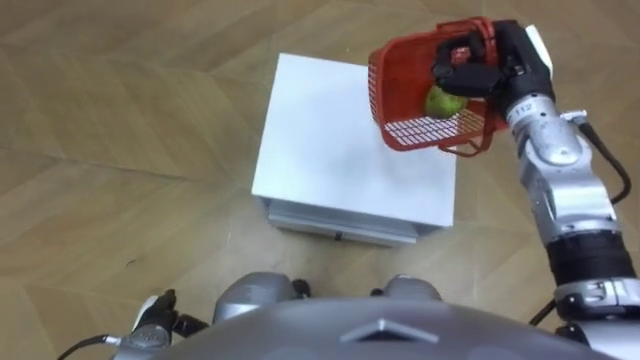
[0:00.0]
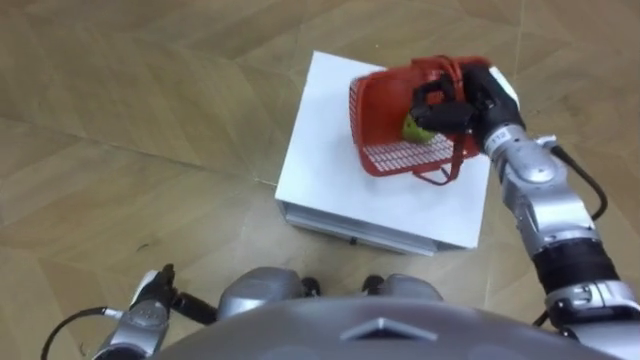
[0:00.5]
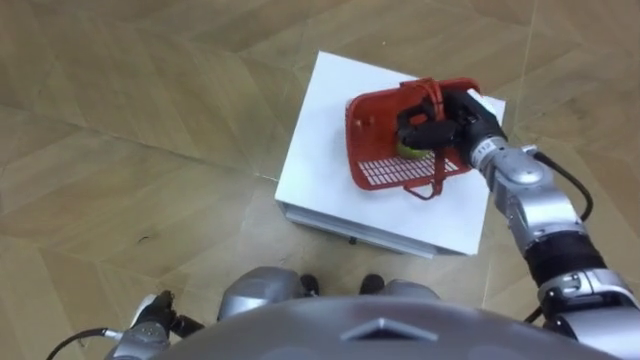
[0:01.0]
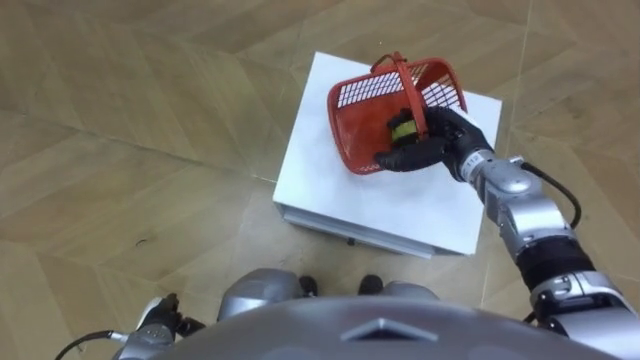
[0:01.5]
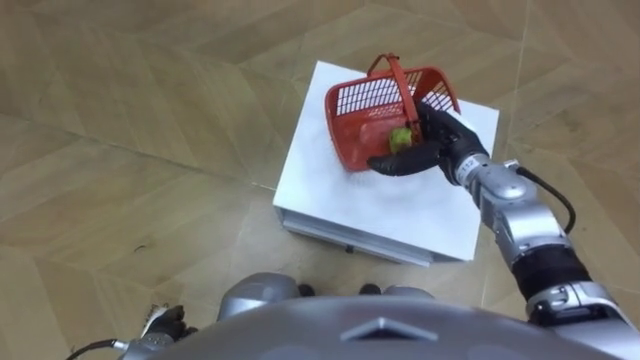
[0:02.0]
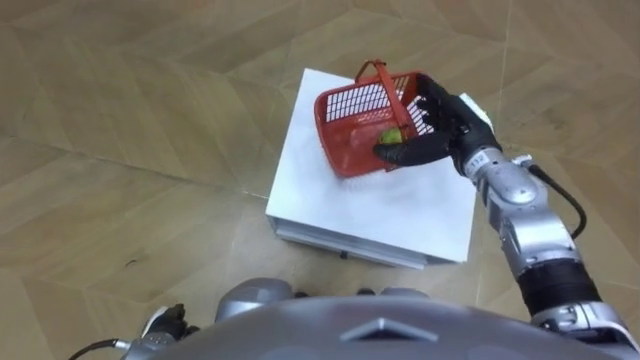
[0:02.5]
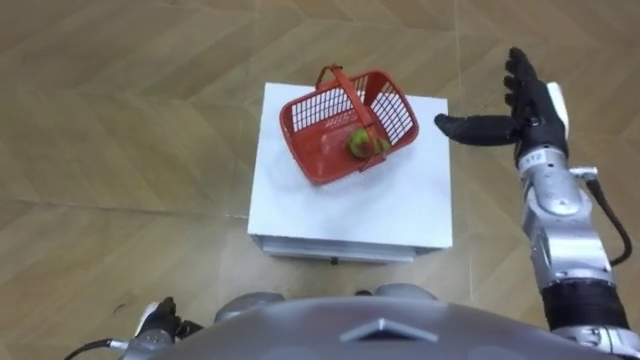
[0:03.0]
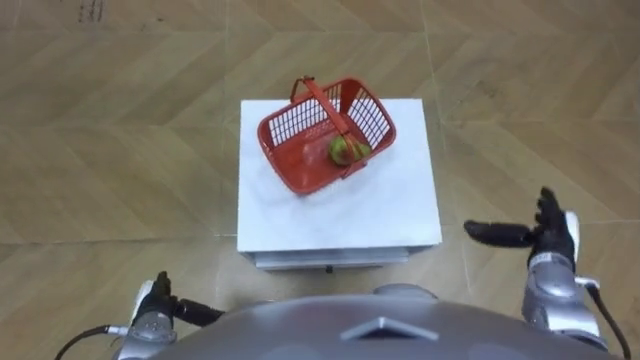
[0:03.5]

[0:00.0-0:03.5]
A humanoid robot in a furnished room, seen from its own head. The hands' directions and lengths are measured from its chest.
Task of the whole recording: Pick up the fruit basket from the floor and place it on the cabinet.
0:00.0 to 0:02.0: The right hand moves downward, to the left and backward, roughly 15 cm, and opens.
0:02.0 to 0:03.5: The right hand is displaced to the right and backward by about 20 cm.

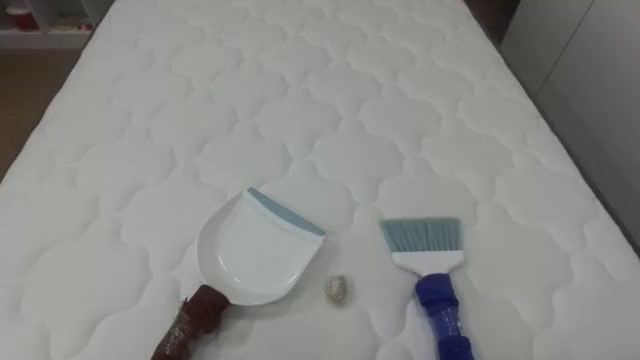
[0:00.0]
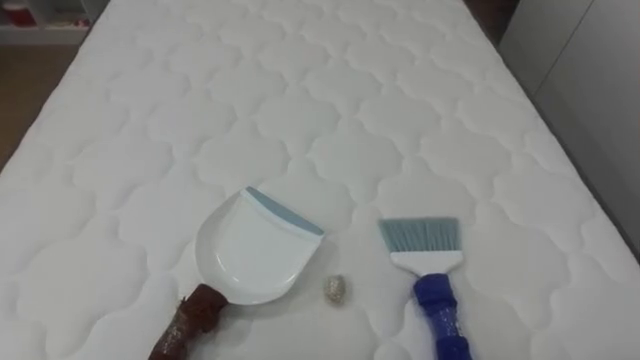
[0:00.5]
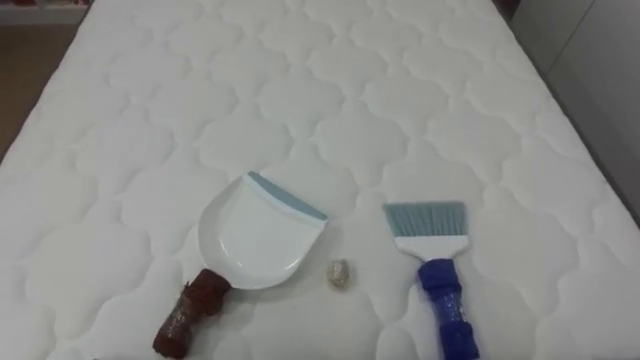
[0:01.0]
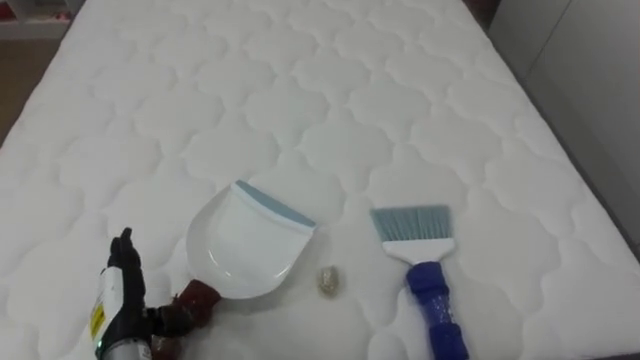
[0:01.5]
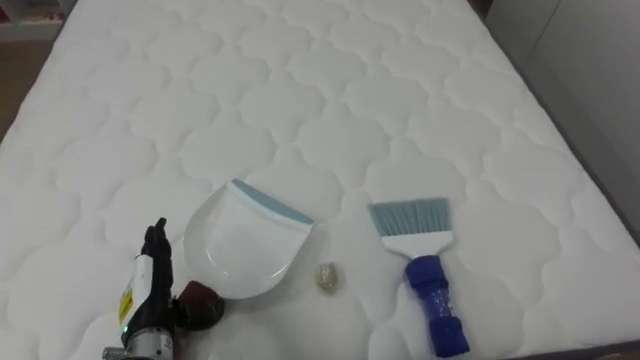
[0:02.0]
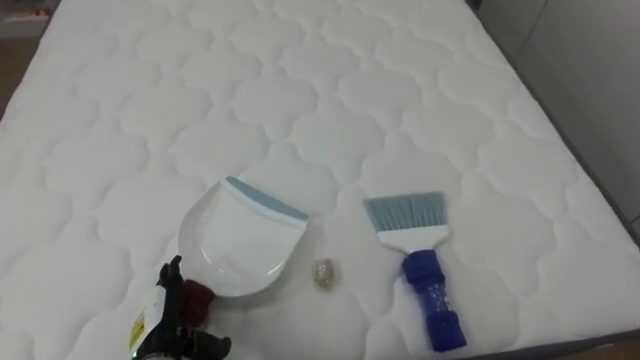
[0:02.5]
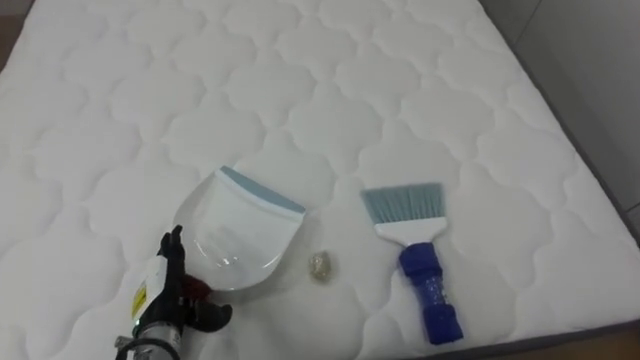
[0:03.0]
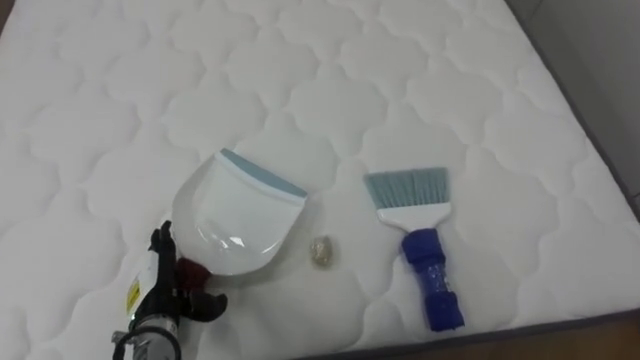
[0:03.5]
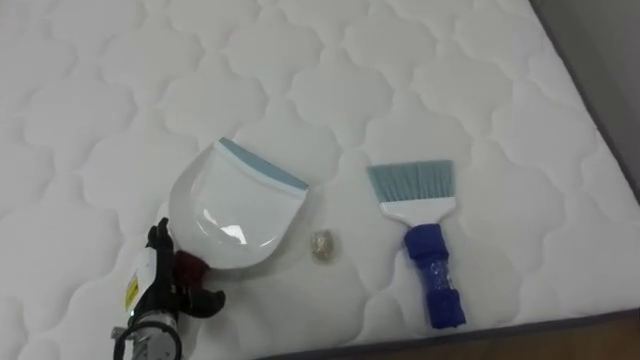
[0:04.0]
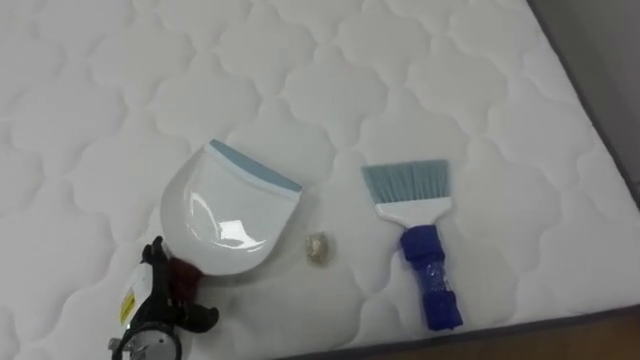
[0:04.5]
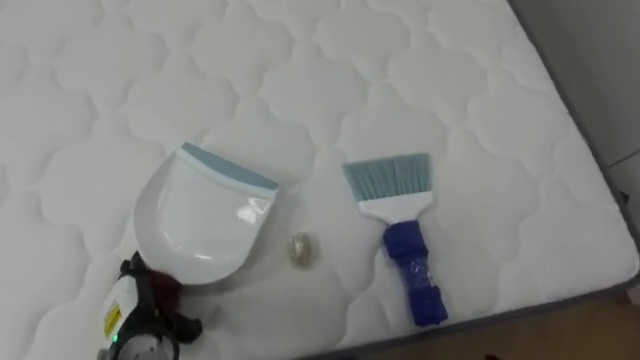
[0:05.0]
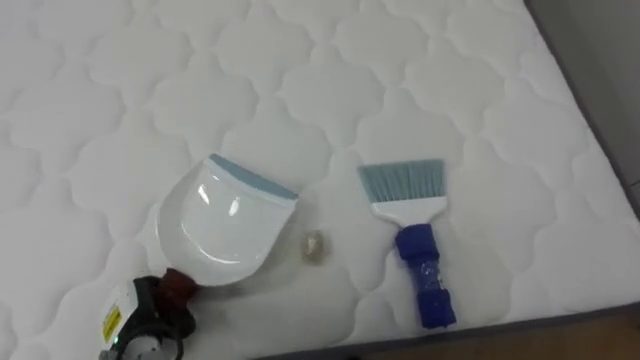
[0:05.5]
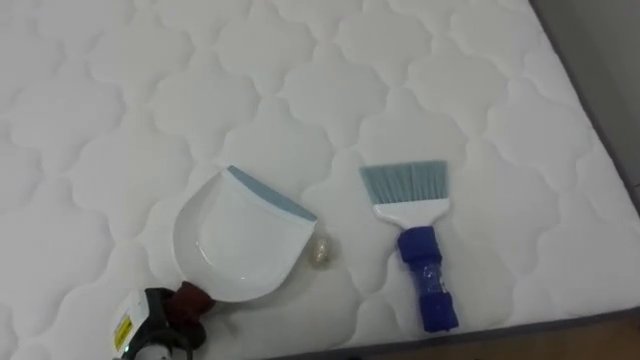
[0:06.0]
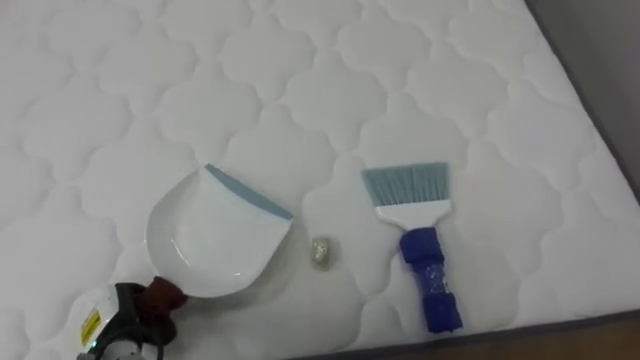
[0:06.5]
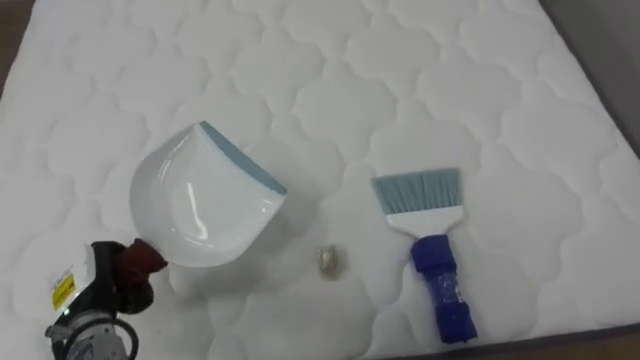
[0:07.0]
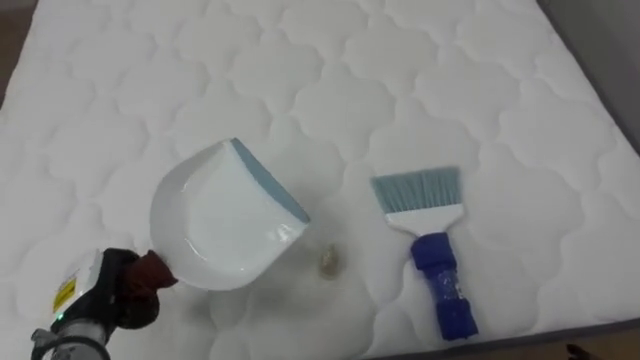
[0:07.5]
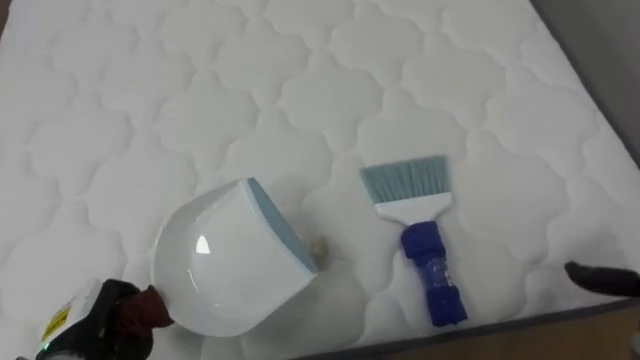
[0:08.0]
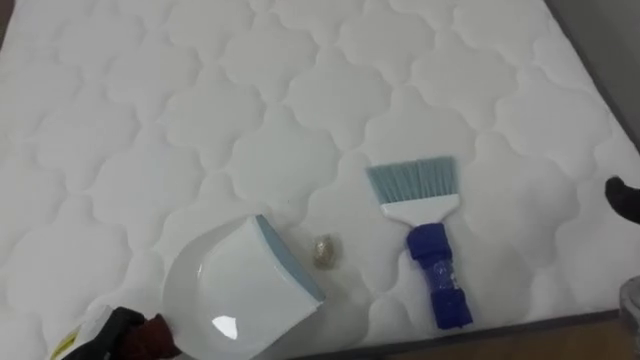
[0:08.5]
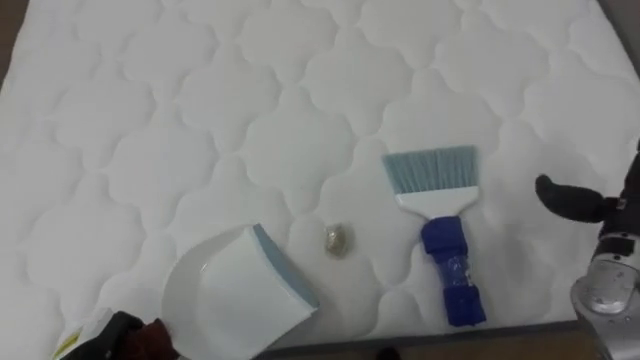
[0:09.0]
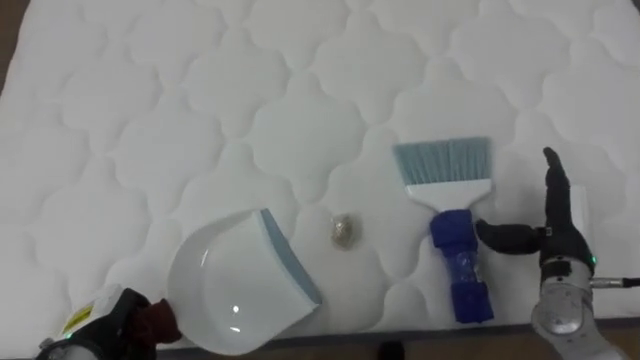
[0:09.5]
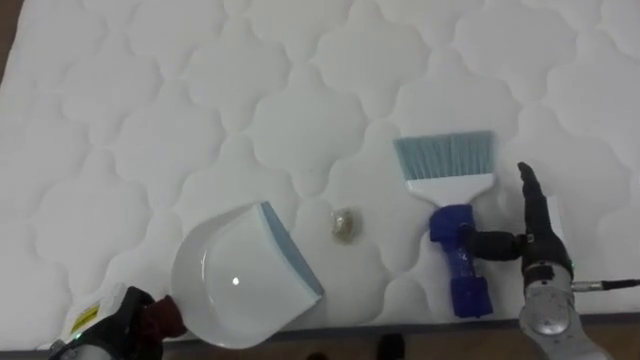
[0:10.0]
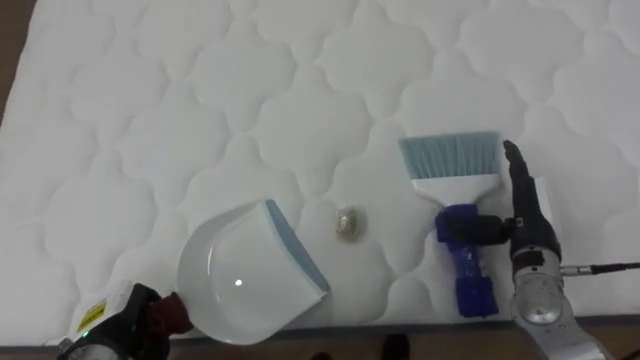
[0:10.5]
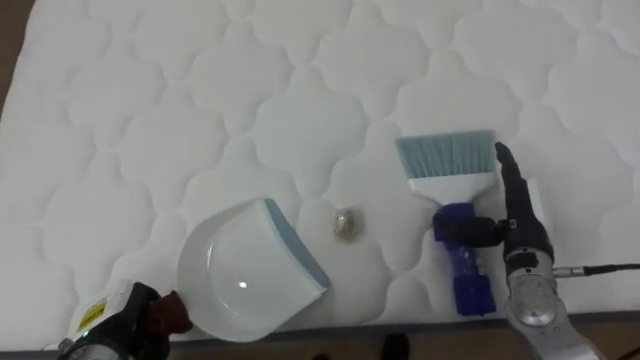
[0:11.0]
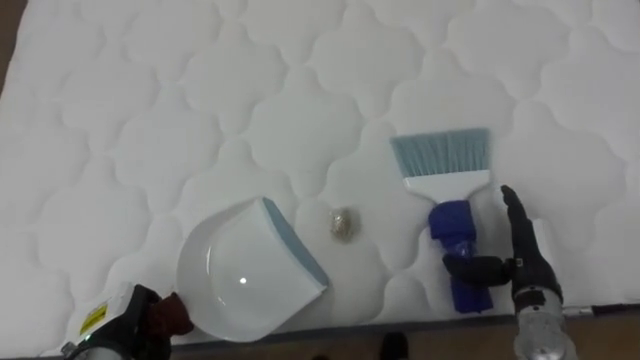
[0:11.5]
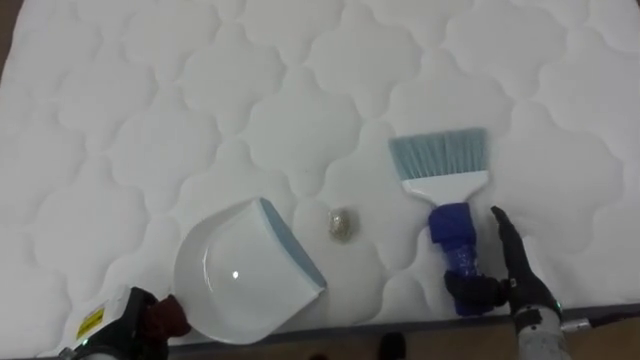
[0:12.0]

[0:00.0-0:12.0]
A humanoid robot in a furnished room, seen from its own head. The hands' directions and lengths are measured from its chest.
Task of the whole recording: Pick up the brush on your right and the dustpan on your left. Use the brush to sweep the crumpled paper on the bed into the dustpan, then turn left and empty it into the basket.
0:04.0 to 0:06.0: The left hand moves some 5 cm, and closes up.
0:06.0 to 0:08.0: The left hand is displaced to the left and upward by some 10 cm.
0:10.0 to 0:12.0: The right hand moves approximately 5 cm.

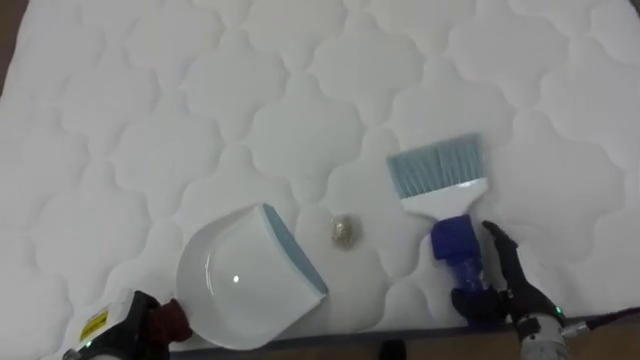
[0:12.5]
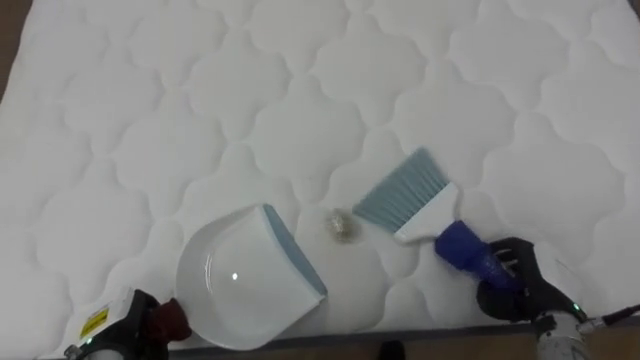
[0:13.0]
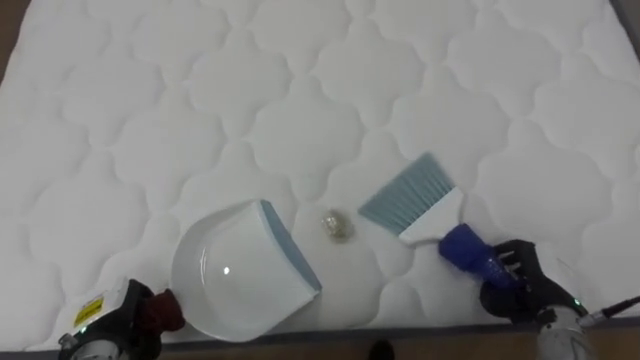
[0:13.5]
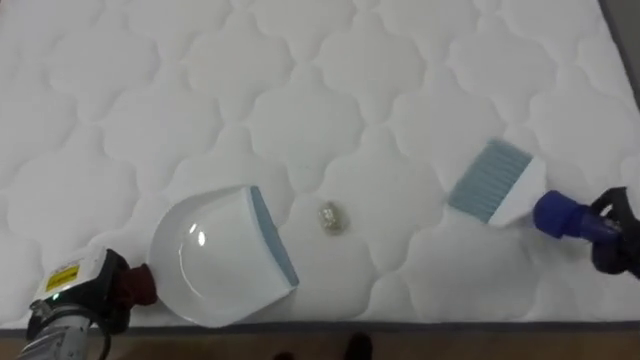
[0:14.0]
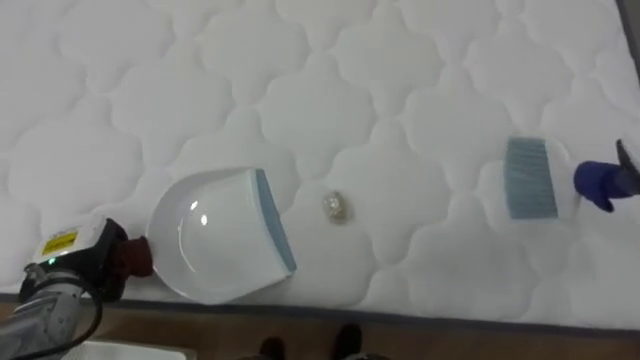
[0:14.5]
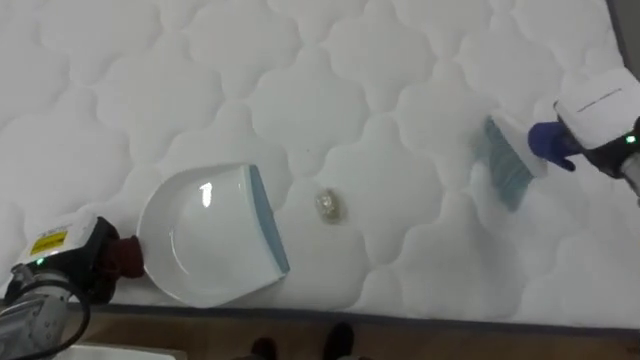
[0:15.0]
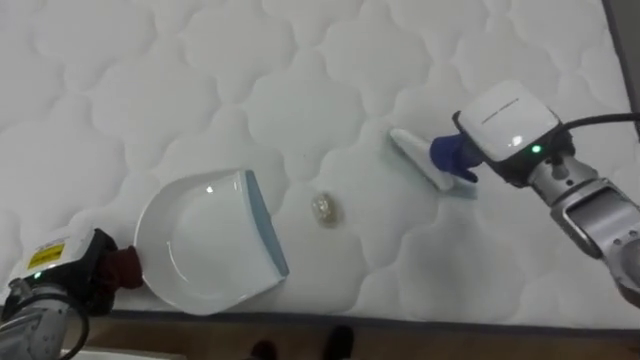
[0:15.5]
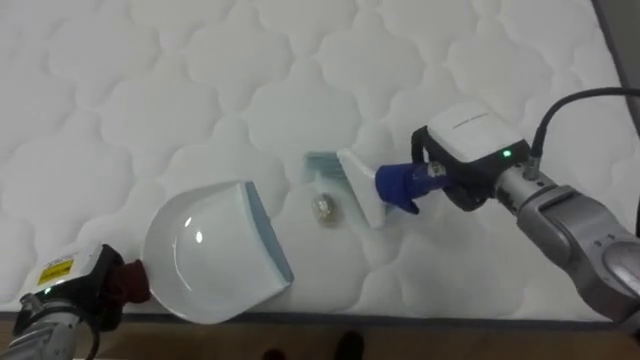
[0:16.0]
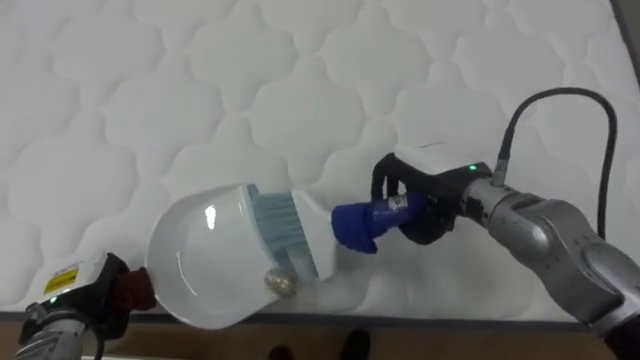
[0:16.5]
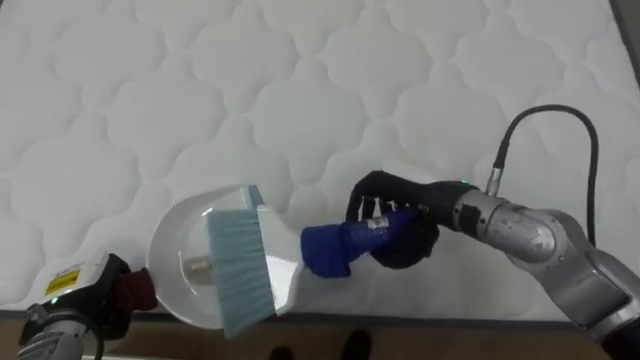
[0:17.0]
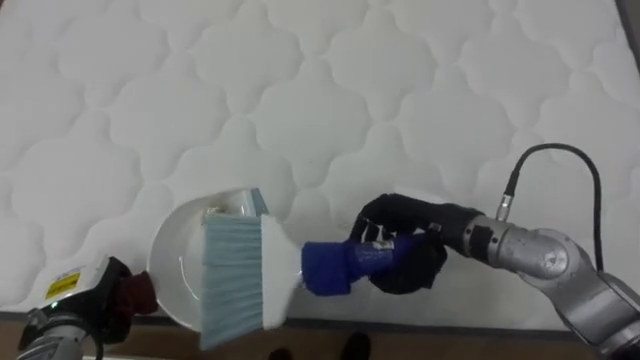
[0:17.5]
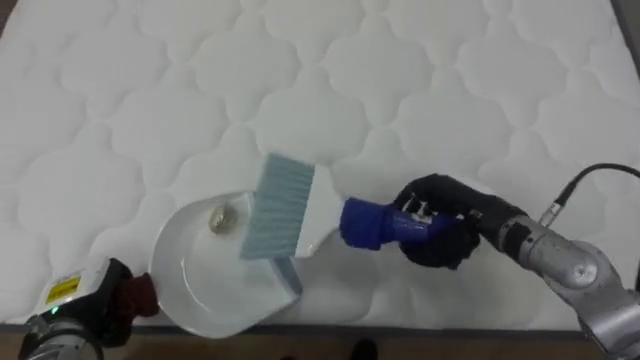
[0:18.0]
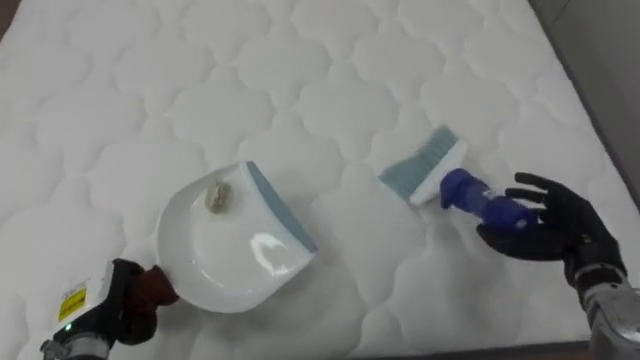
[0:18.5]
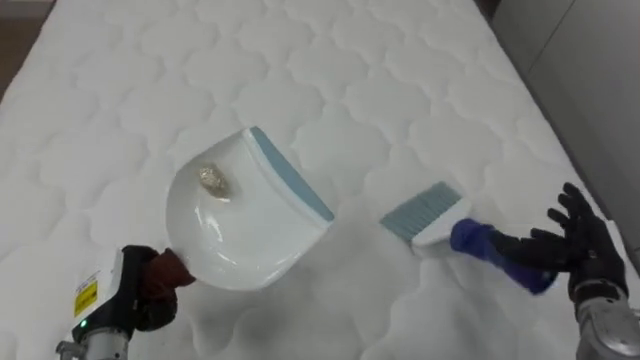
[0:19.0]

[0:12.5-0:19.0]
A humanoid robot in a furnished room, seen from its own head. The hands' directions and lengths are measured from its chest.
Task of the whole recording: Pick up the brush on your right and the dustpan on your left. Use the brush to sweep the crumpled paper on the bed into the dustpan, then turn left and empty it into the basket.
0:12.5 to 0:14.5: The left hand travels forward and upward by approximately 10 cm.
0:14.5 to 0:17.0: The left hand moves approximately 5 cm.
0:17.0 to 0:19.0: The right hand is displaced to the right and downward by roughly 25 cm, and opens its fingers. Meanwhile the left hand changes place by about 5 cm.
